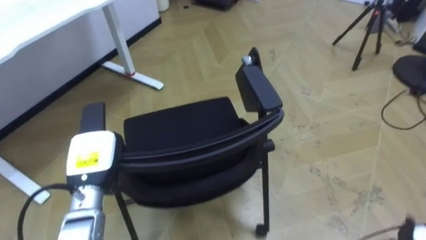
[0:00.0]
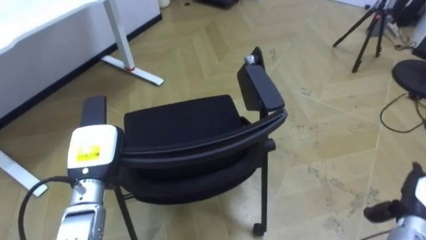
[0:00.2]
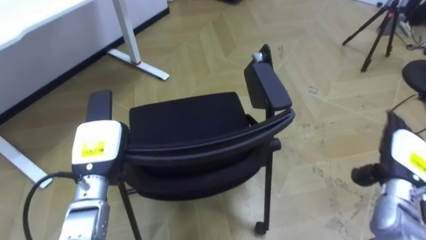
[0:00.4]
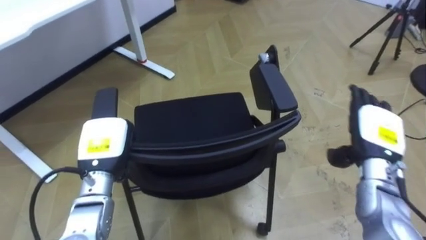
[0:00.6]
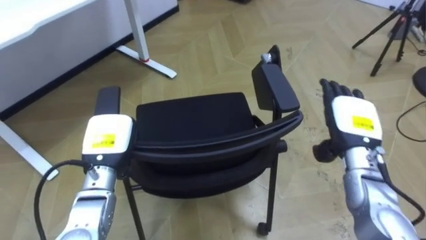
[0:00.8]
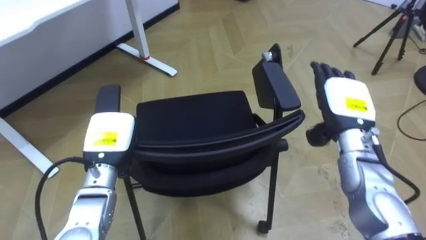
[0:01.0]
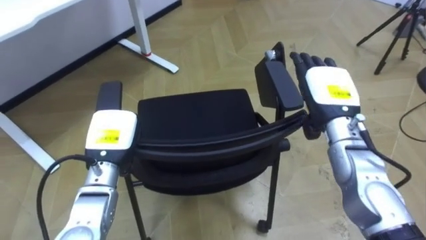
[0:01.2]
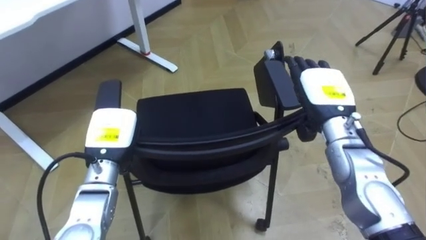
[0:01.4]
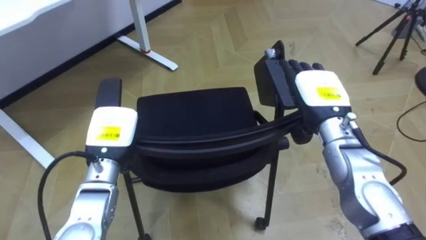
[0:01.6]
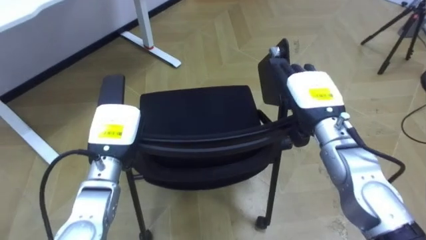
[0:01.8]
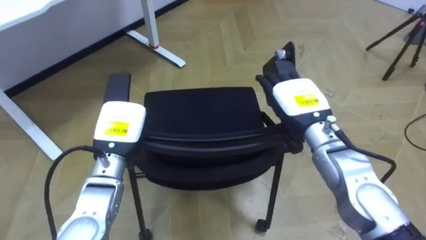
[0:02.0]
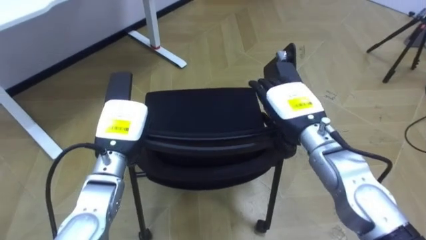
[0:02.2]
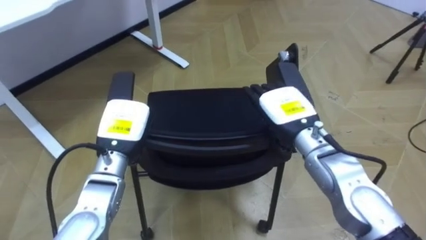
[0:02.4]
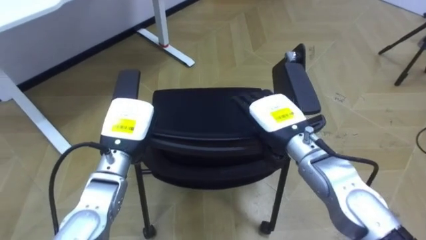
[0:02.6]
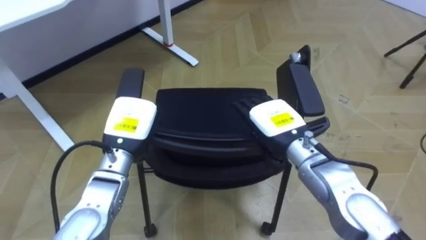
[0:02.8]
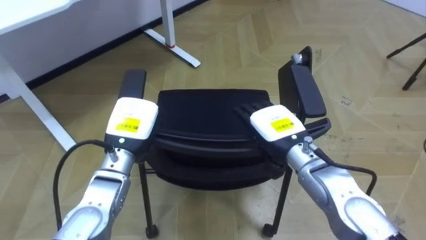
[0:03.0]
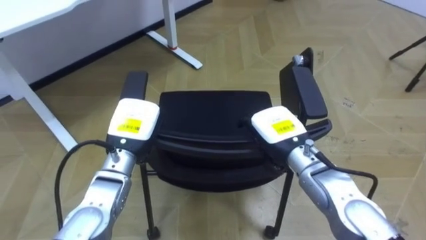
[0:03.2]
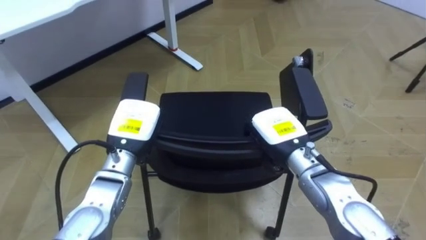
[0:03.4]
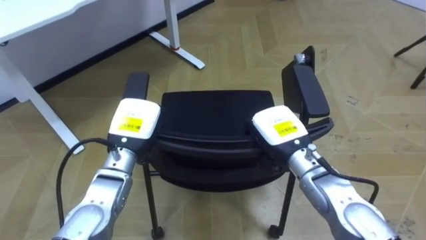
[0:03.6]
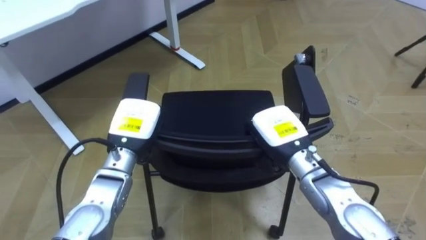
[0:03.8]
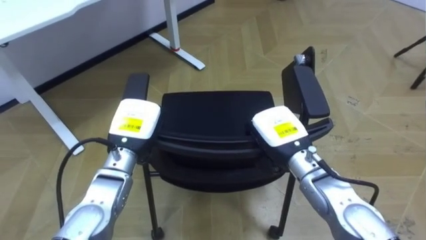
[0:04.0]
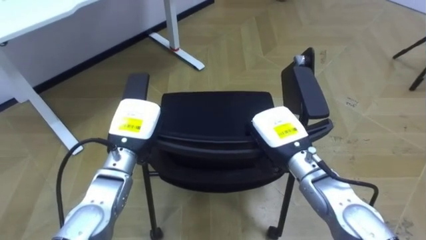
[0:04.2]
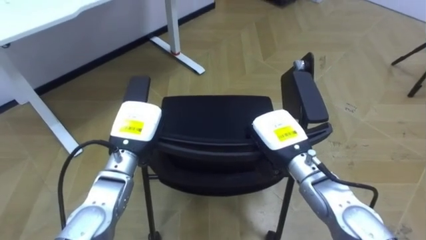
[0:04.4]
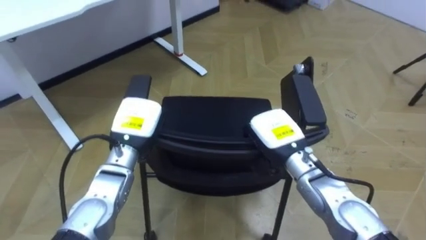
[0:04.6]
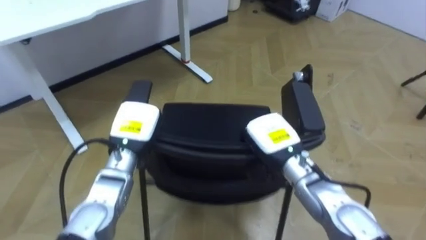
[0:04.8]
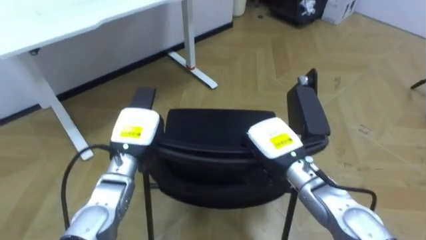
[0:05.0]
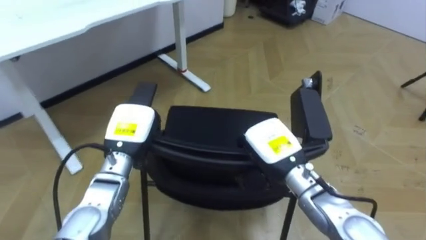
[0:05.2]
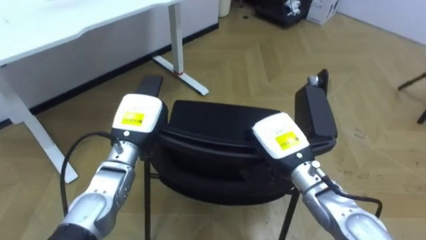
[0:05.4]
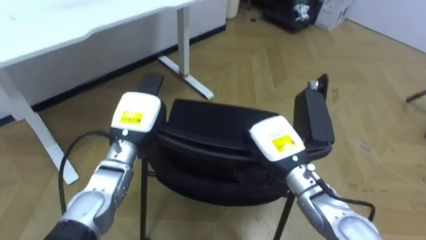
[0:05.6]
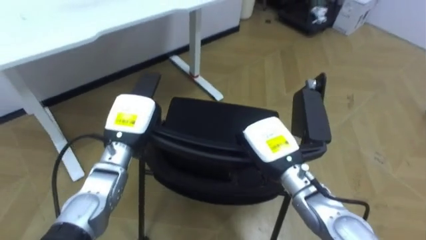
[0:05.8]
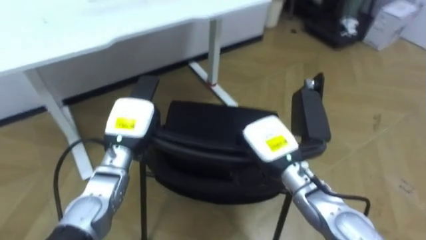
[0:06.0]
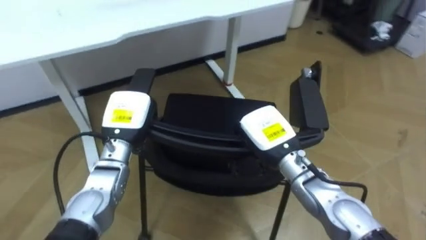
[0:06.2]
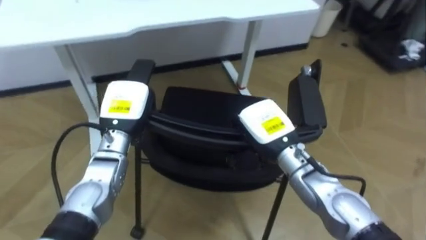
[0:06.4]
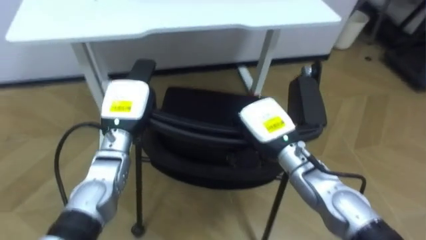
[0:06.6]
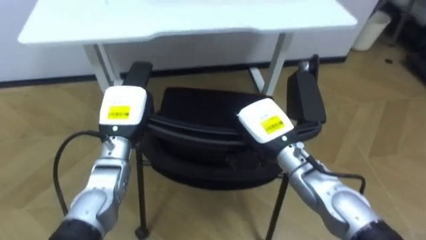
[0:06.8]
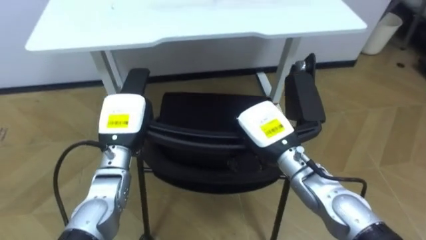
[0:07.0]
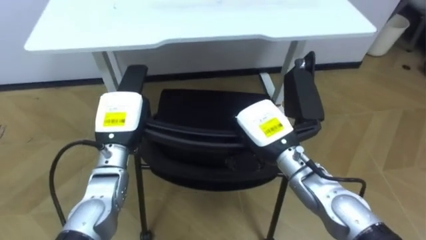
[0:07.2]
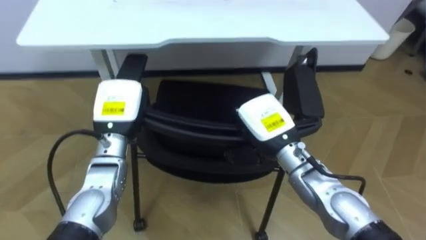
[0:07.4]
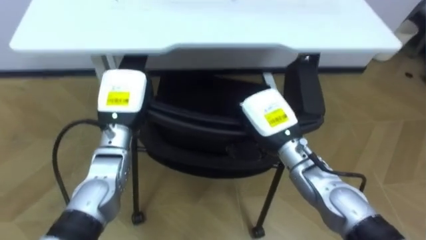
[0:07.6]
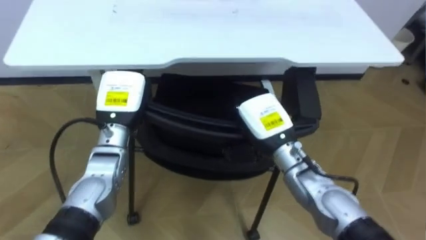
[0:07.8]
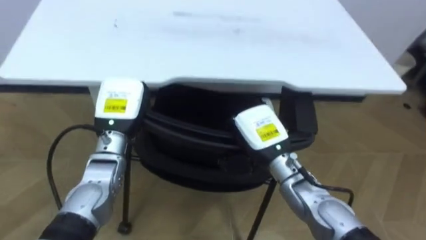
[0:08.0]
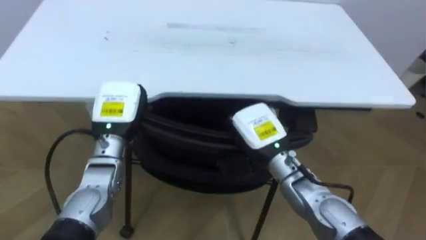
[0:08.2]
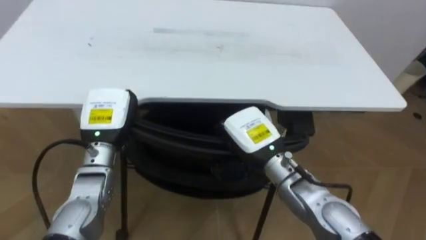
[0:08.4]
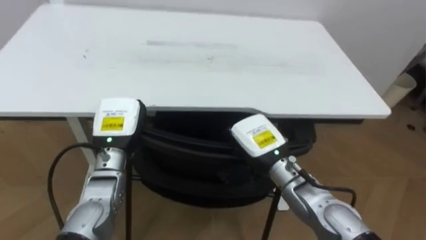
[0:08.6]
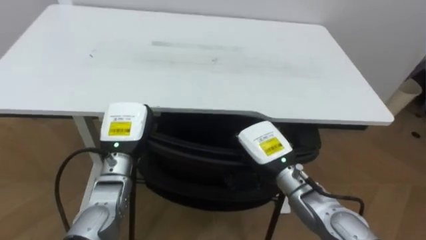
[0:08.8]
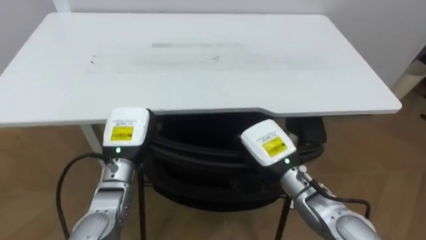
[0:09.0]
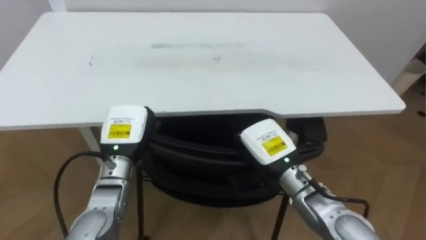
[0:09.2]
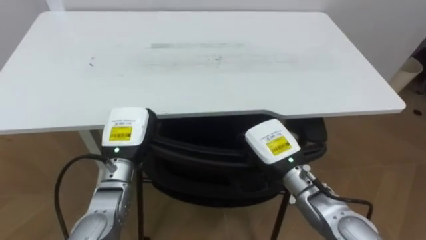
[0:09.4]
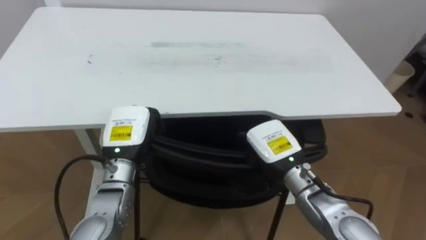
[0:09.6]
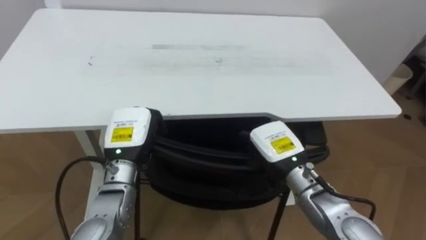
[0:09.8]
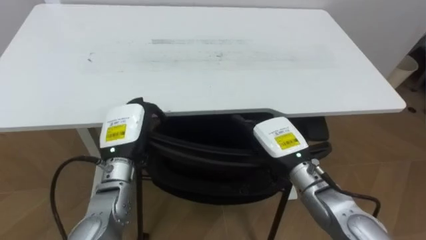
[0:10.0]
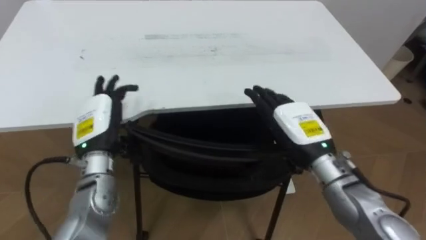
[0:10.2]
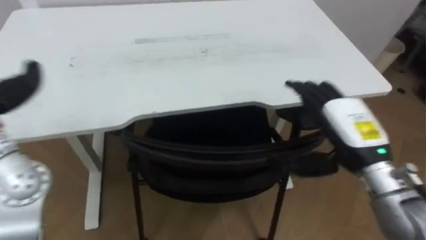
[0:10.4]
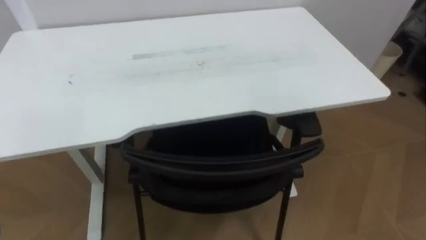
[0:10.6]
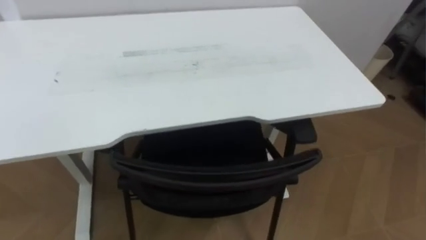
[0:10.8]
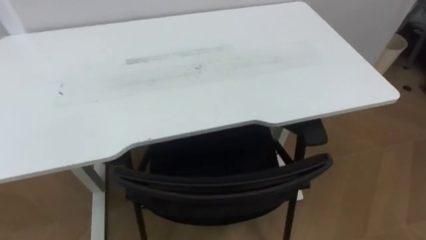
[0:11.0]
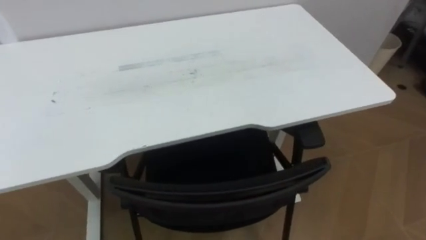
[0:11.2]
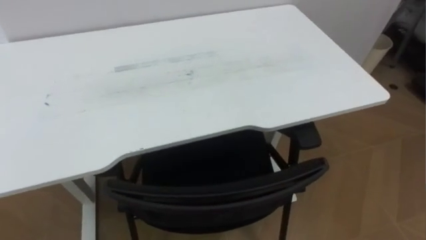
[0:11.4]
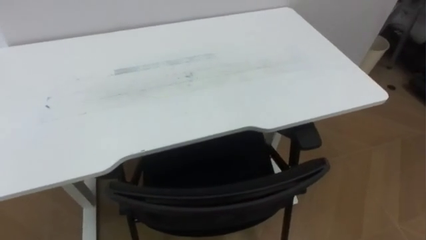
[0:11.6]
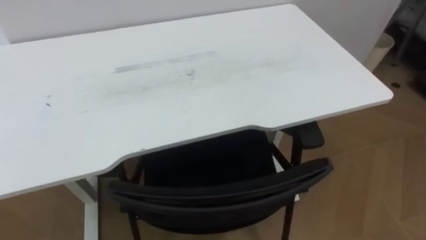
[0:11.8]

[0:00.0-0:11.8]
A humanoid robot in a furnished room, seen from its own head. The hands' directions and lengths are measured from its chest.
Task of the whole recording: Push the chair under the table.
0:00.0 to 0:01.4: The left hand changes place by about 5 cm.
0:01.4 to 0:03.0: The right hand is displaced to the left and downward by some 10 cm.
0:03.0 to 0:04.4: The right hand closes its fingers.
0:06.0 to 0:07.4: The robot's body swings about 20 degrees to its left.
0:08.8 to 0:10.4: The right hand travels to the right and upward by roughly 15 cm, and opens.

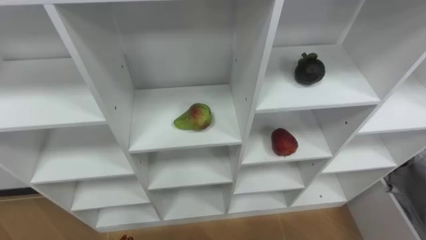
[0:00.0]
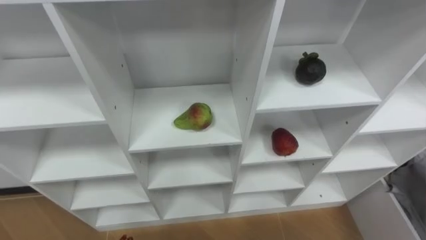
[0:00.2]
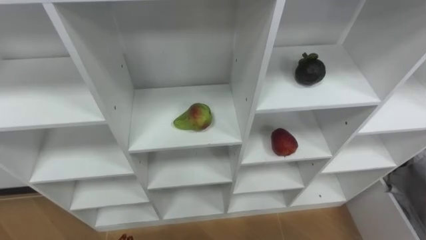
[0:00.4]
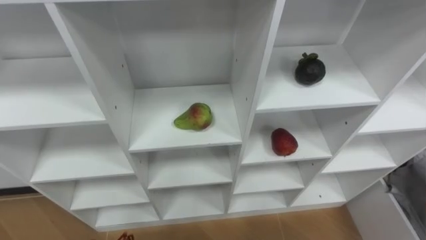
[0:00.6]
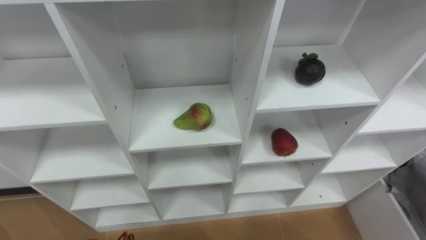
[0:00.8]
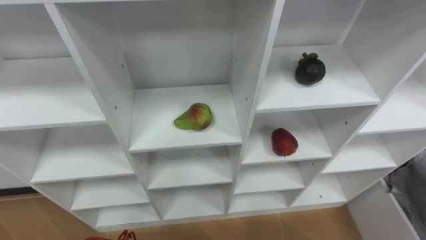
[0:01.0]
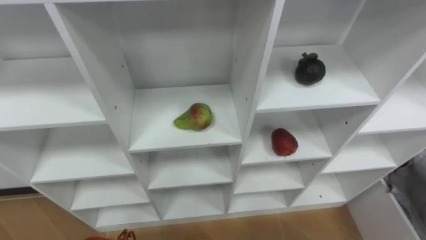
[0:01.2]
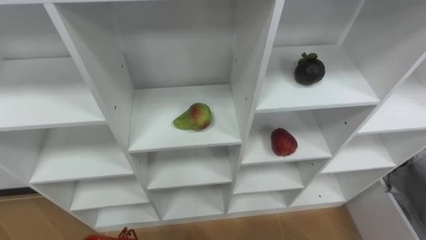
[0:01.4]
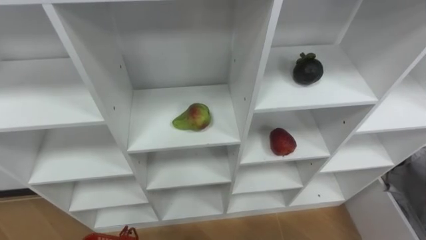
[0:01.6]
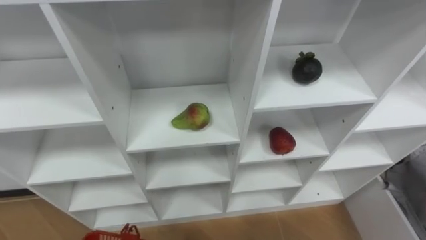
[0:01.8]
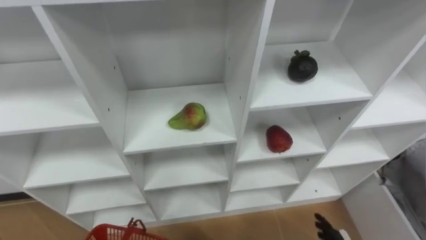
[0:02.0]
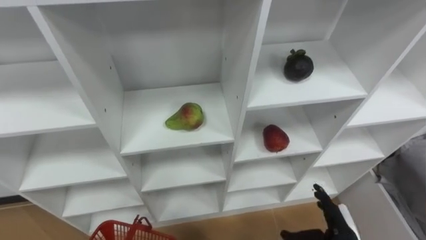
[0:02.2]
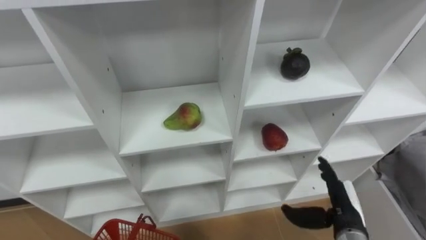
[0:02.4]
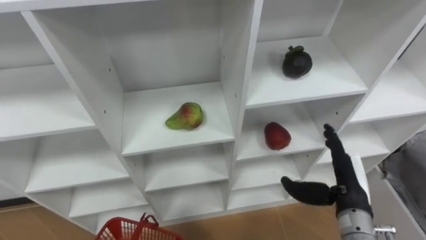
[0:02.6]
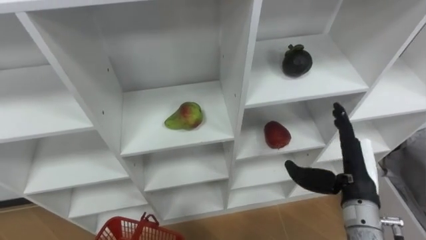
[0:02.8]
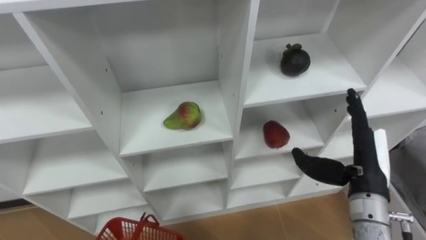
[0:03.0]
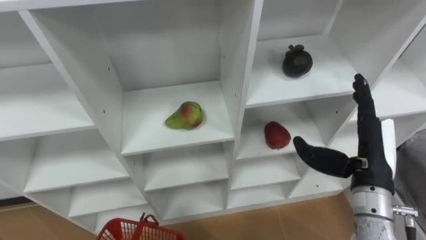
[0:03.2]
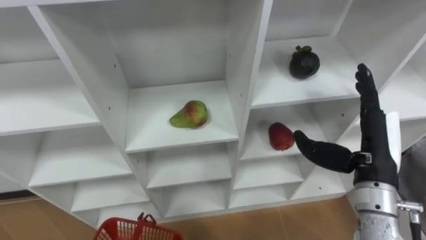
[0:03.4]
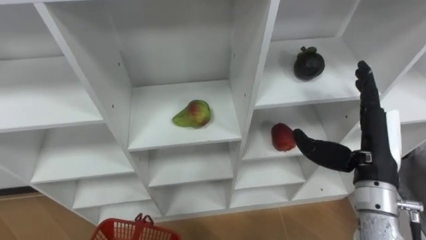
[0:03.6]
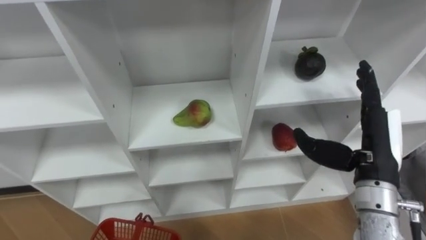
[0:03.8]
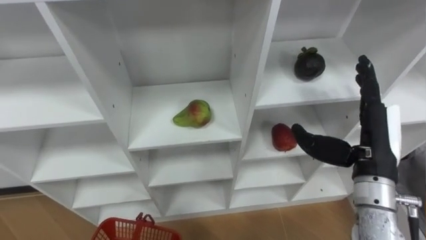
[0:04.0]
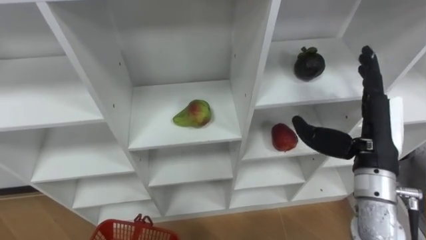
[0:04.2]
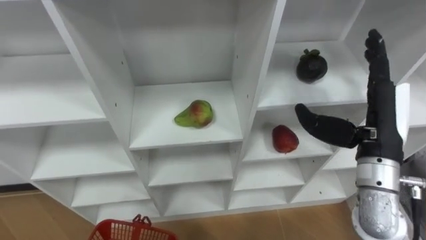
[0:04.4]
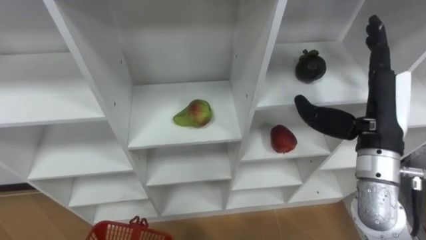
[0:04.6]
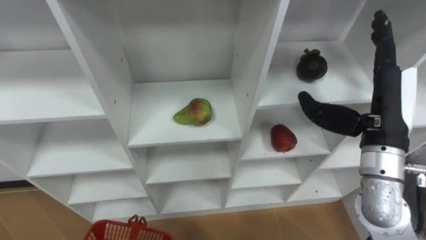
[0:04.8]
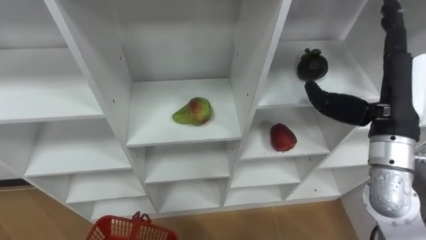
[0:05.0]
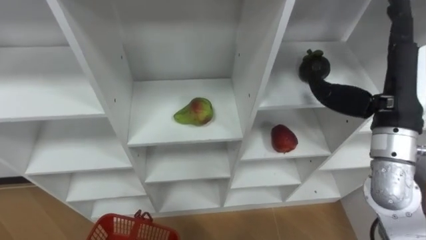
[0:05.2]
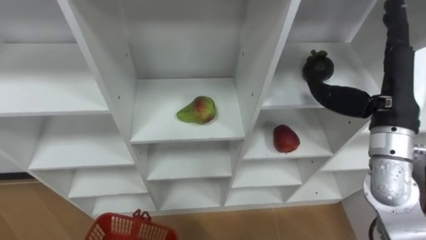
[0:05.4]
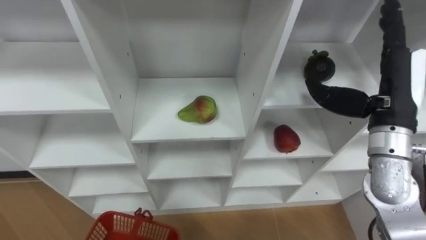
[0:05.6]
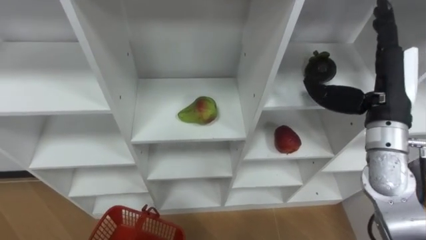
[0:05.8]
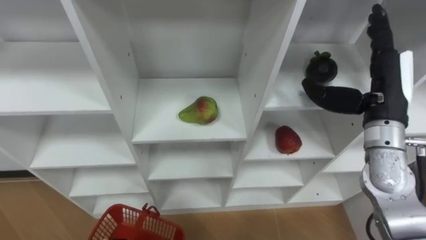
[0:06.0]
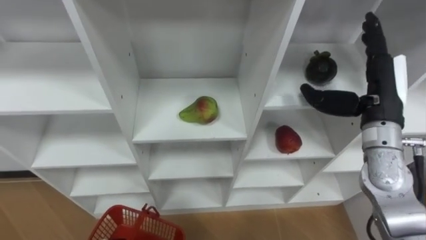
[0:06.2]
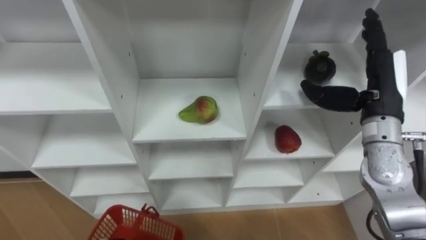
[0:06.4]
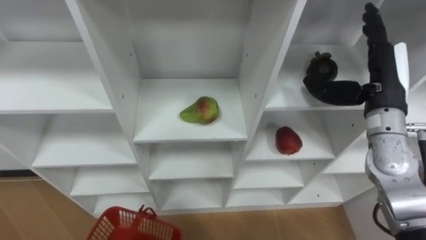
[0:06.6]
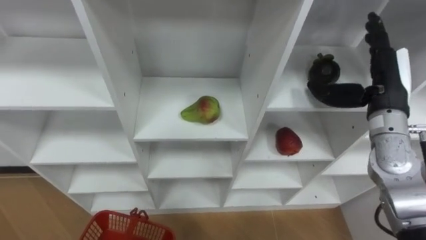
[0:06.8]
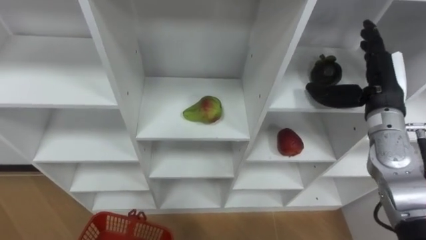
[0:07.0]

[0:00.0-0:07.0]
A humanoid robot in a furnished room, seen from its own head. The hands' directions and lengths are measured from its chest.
Task of the whole recording: Hold the basket and collect the fruits from 3 different cells of the closet into it.
0:02.8 to 0:04.2: The right hand travels upward by roughly 10 cm.
0:04.2 to 0:05.6: The right hand changes place by about 5 cm.
0:05.6 to 0:07.0: The right hand moves forward, roughly 5 cm.
